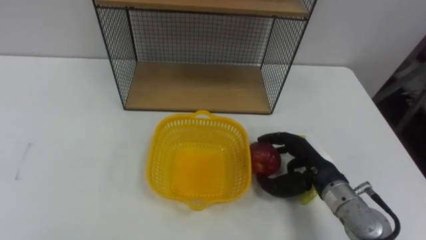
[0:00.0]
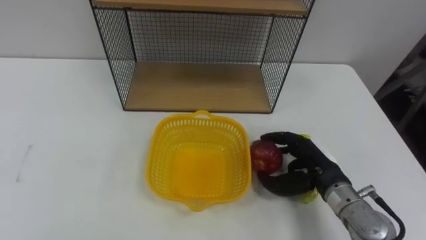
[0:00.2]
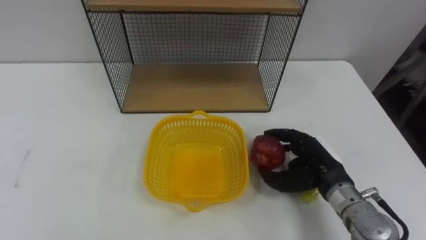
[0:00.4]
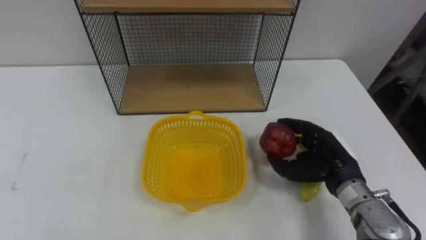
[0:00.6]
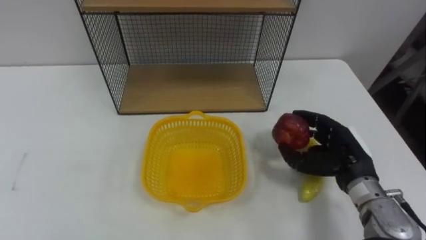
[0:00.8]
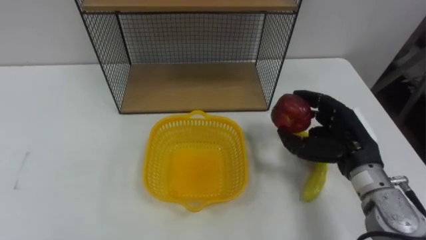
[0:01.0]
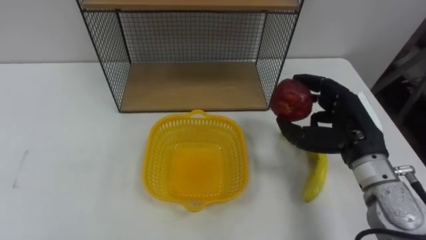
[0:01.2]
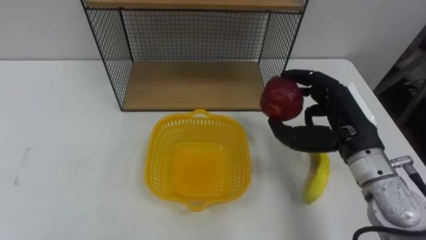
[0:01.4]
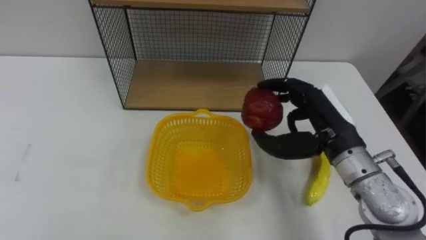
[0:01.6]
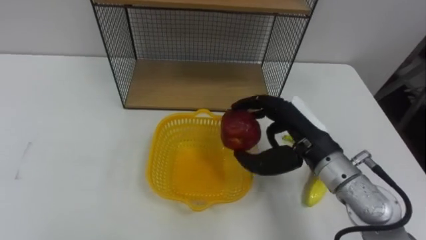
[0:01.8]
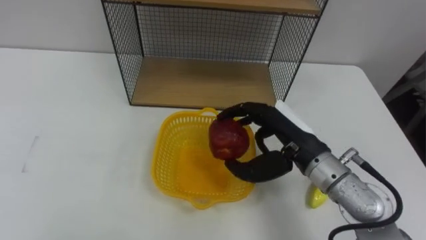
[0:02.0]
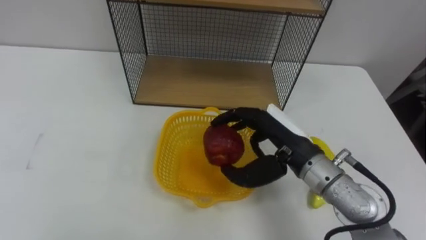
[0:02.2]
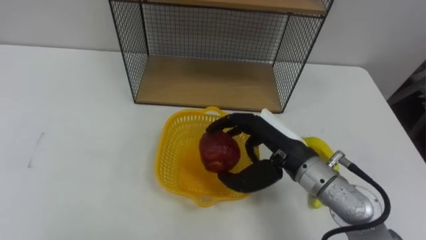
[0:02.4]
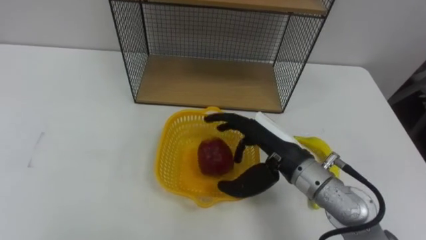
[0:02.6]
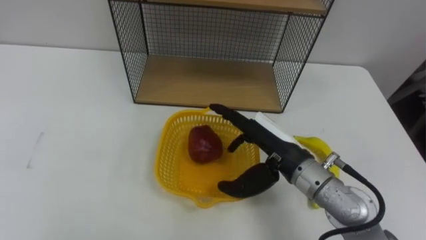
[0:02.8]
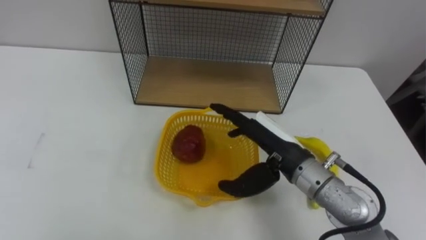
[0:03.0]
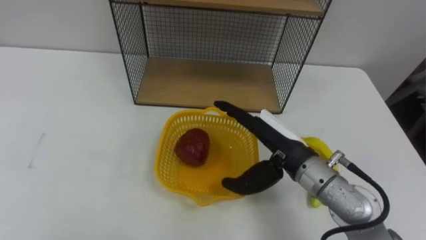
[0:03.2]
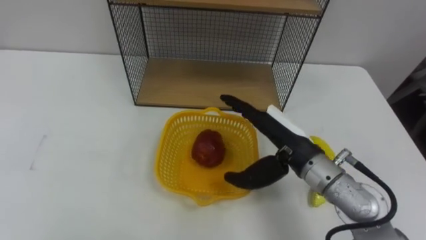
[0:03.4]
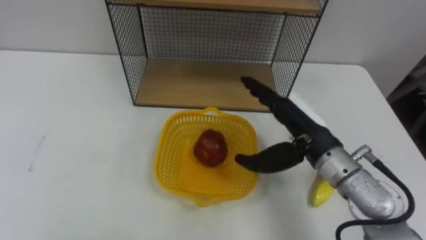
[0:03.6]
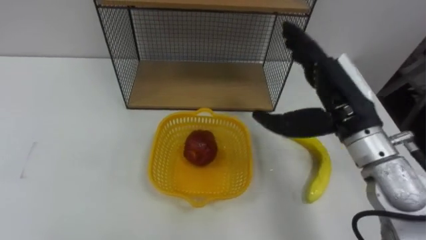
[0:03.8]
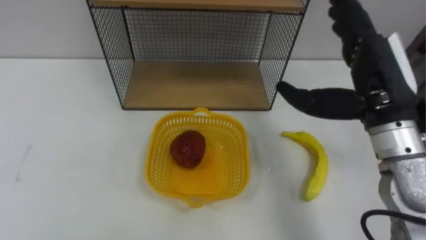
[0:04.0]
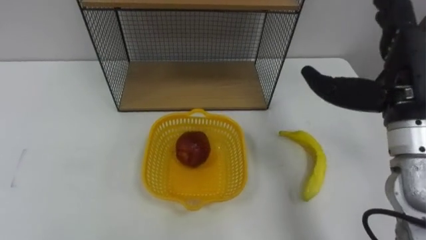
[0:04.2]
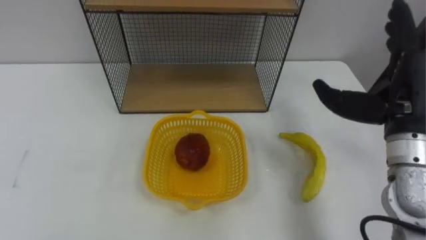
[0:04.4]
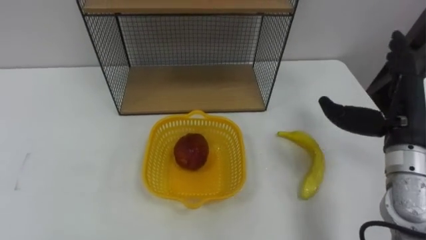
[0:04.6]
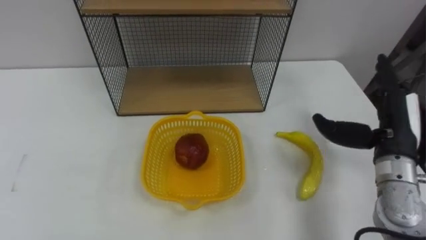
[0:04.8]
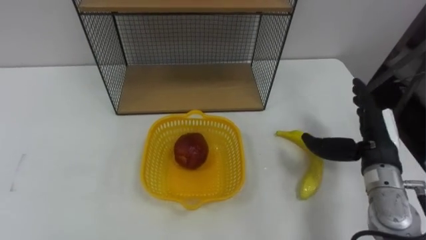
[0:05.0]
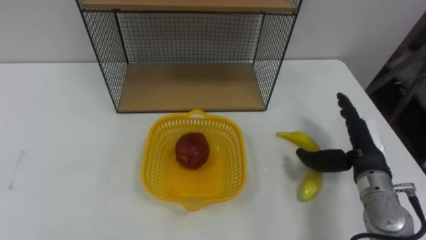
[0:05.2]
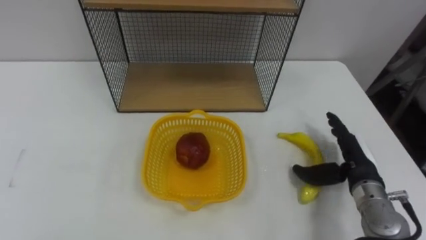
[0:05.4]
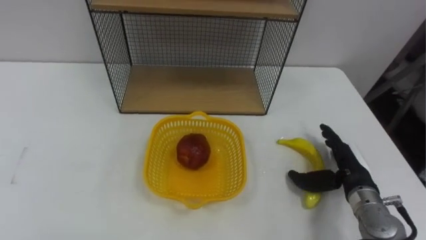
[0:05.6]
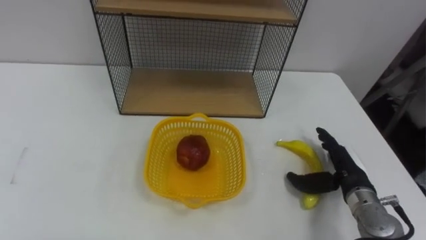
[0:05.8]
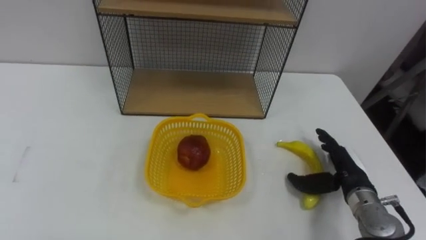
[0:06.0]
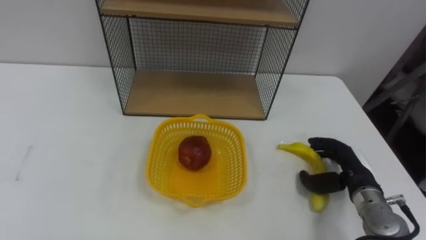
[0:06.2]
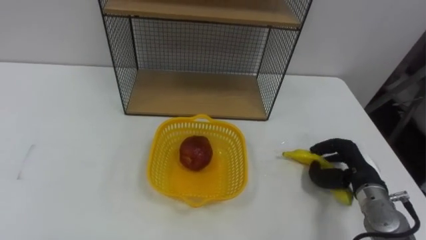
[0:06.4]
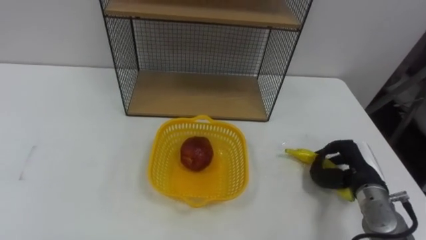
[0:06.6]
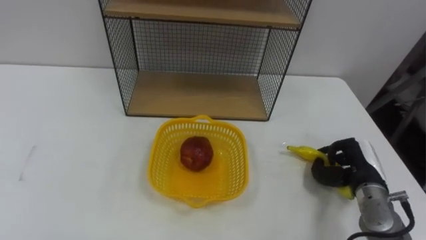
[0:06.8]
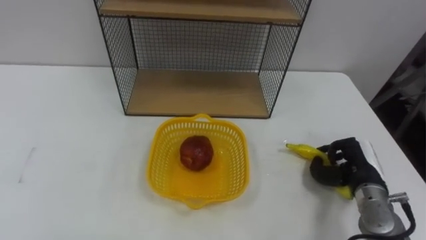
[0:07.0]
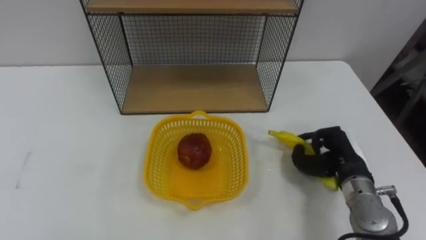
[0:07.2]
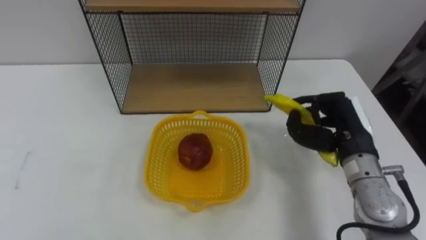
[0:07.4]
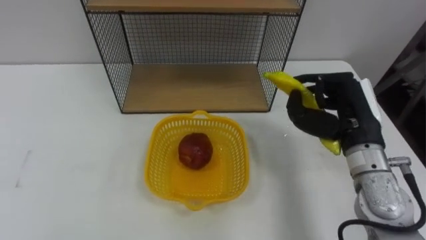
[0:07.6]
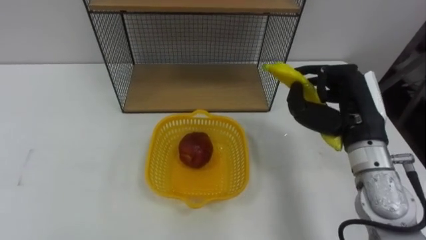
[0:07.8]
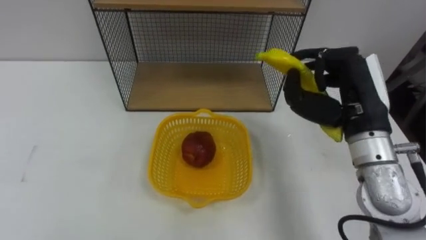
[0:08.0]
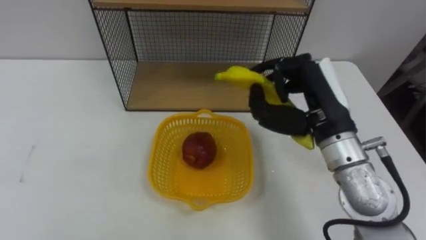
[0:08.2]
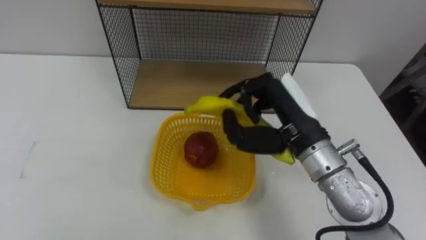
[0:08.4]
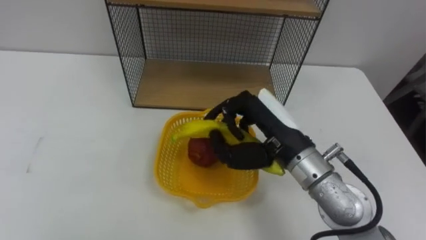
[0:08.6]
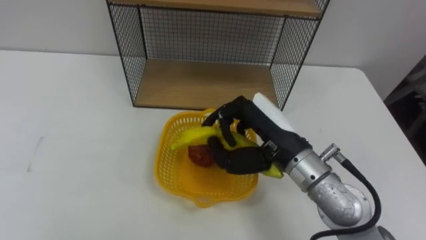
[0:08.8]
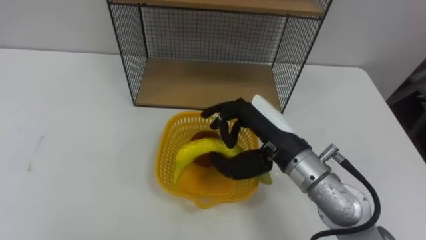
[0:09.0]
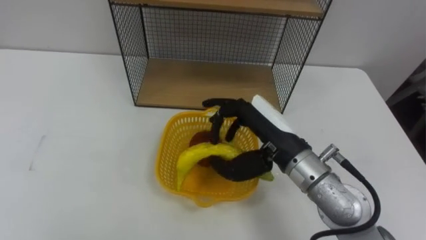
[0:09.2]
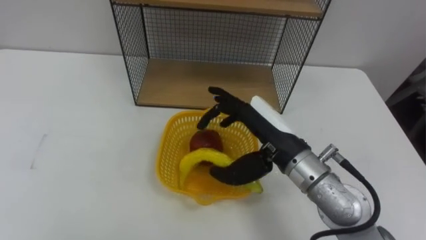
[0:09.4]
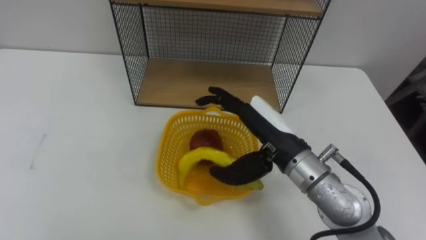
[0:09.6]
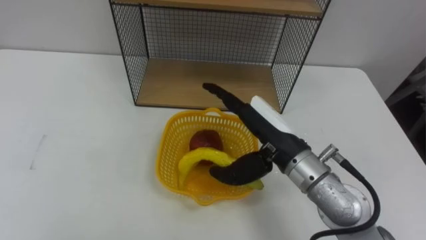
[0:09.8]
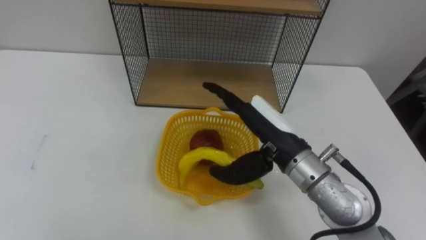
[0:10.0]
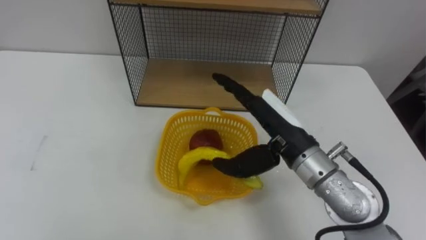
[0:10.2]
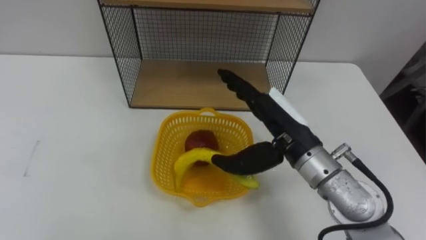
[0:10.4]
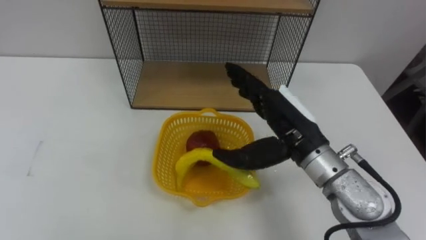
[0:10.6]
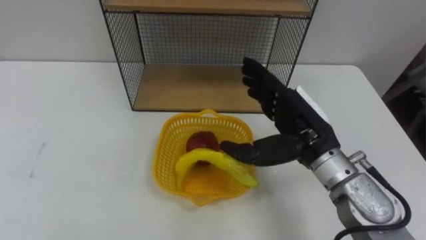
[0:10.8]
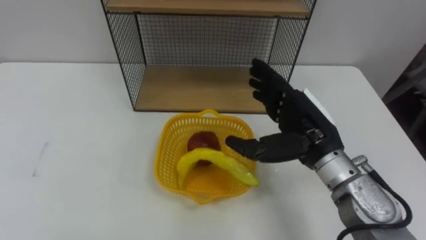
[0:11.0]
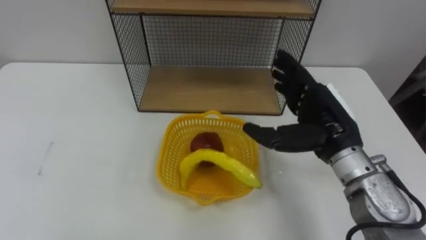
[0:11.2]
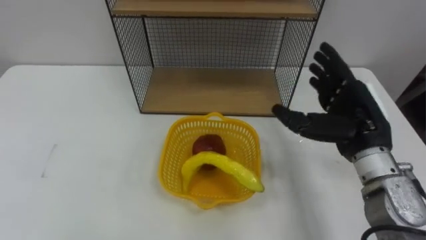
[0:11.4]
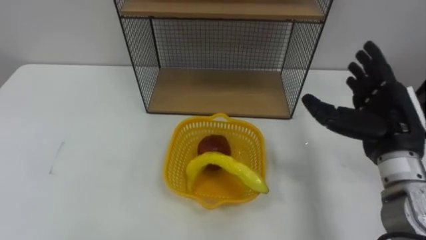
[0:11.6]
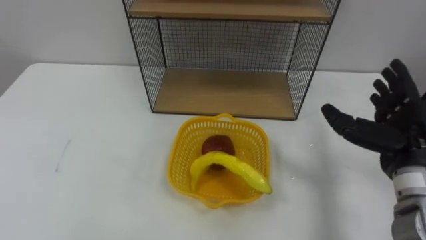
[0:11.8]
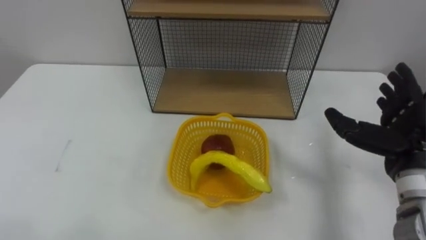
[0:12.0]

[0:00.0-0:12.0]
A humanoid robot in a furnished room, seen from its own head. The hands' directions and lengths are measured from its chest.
Task of the whole recording: Put the fruit on the table into the basket, then place the basket on the shelf.
0:00.0 to 0:01.6: The right hand is displaced upward by approximately 10 cm.
0:01.6 to 0:03.0: The right hand travels to the left by approximately 10 cm, and opens up.
0:03.0 to 0:04.4: The right hand travels to the right and upward by about 20 cm.
0:04.4 to 0:06.0: The right hand shifts some 20 cm downward.
0:06.0 to 0:07.6: The right hand is displaced upward by approximately 15 cm, and closes.
0:07.6 to 0:09.0: The right hand shifts about 15 cm to the left.
0:09.0 to 0:10.4: The right hand opens.
0:10.4 to 0:12.0: The right hand shifts approximately 20 cm to the right.

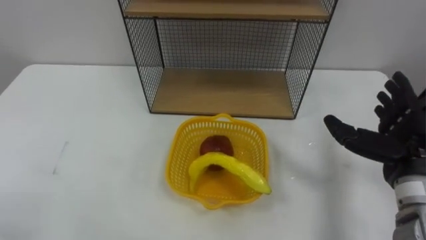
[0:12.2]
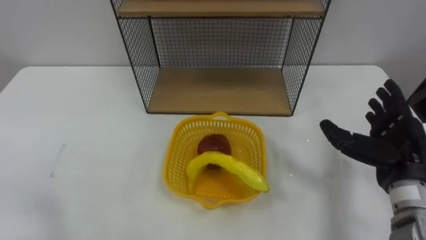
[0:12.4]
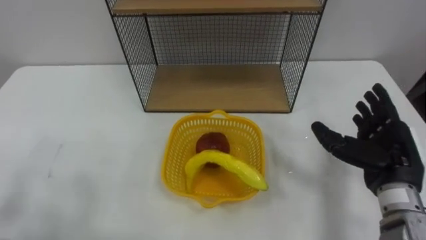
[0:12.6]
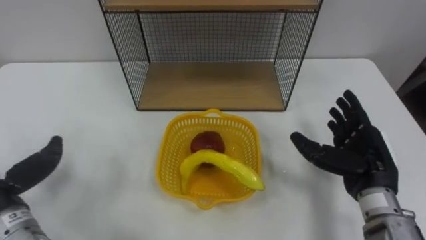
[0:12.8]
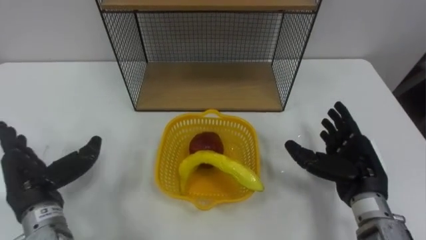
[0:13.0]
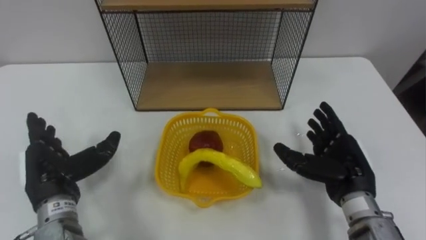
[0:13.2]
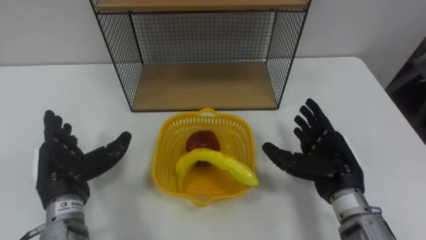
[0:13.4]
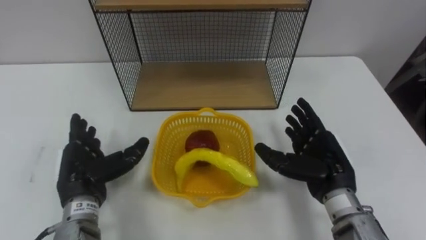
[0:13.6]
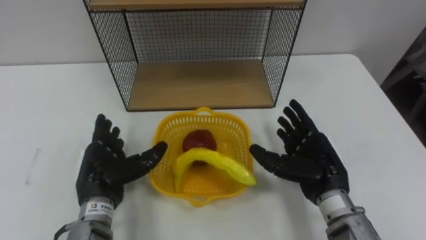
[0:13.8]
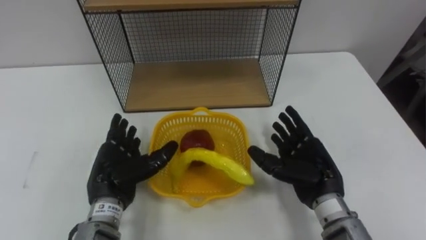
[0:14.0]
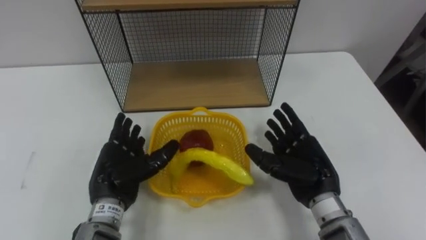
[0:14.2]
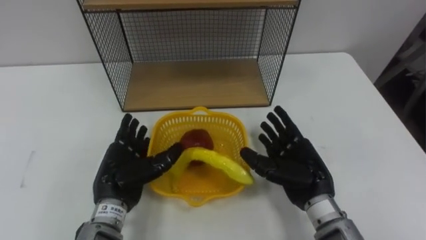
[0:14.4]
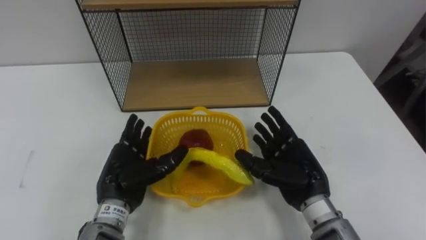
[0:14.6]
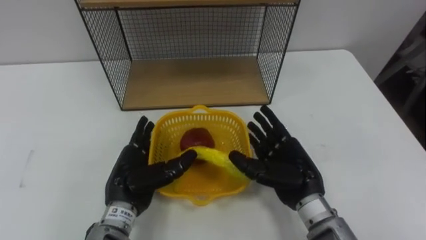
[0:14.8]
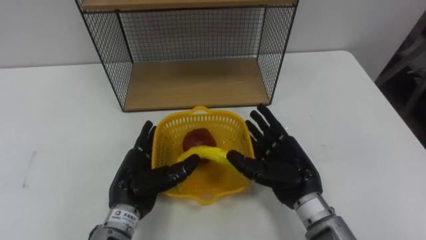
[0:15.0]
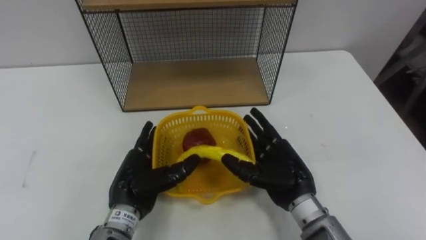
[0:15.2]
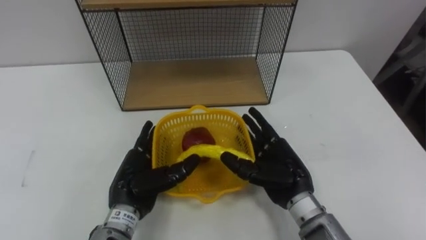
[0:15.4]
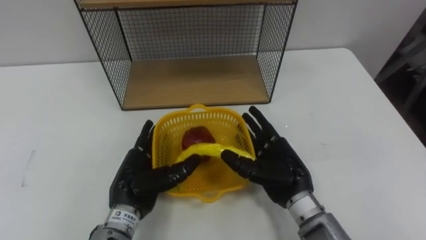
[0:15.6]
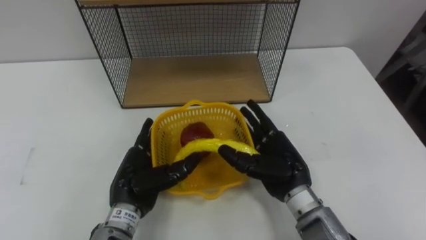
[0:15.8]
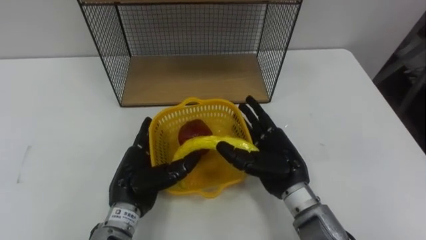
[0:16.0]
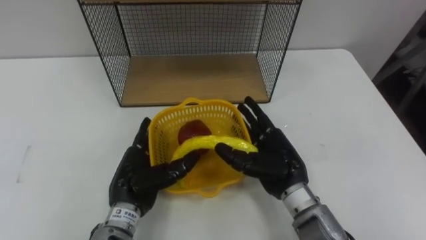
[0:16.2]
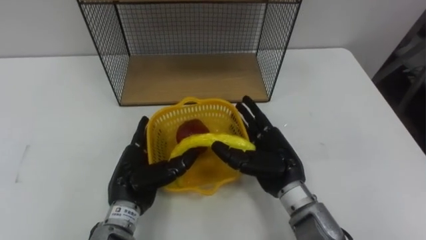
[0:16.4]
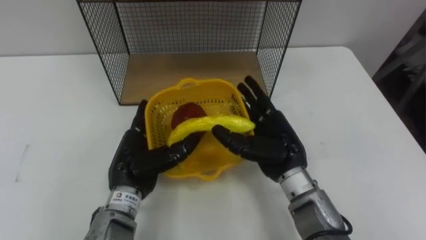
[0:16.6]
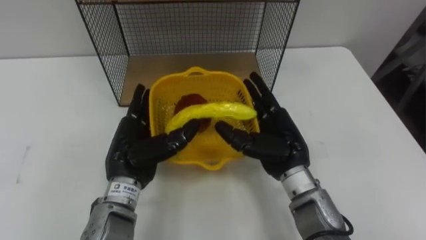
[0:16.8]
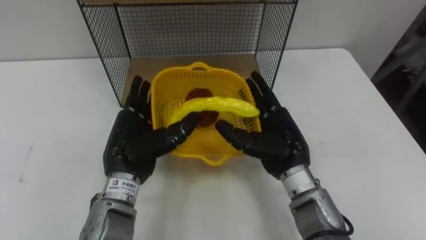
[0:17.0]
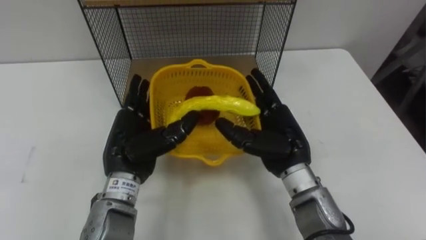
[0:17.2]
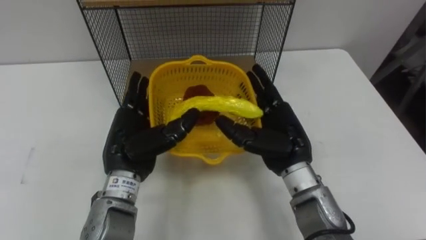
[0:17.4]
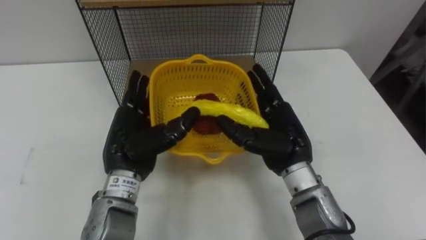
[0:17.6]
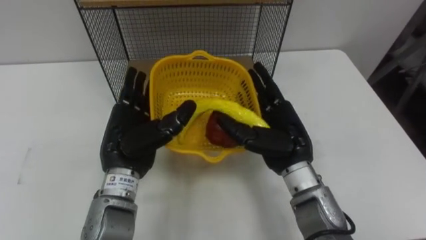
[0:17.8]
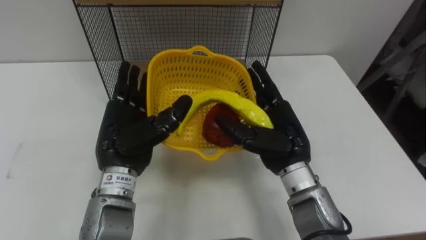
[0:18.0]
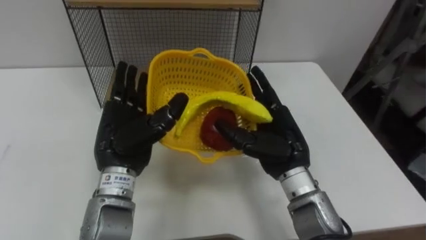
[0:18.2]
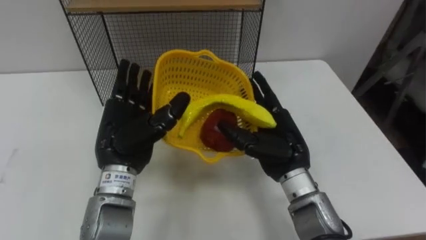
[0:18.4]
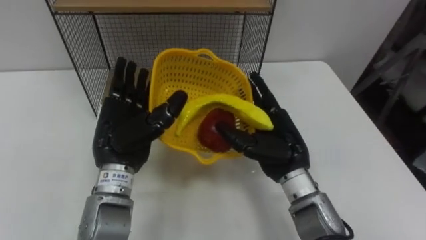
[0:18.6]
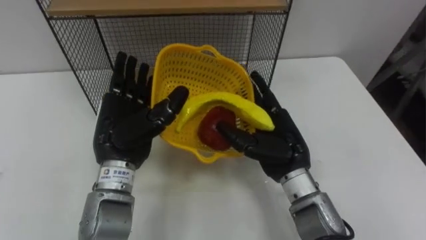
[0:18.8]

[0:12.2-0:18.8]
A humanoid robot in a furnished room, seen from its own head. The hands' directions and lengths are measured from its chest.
Task of the whole recording: Put the fruit on the table into the basket, then place the basket on the shelf.
0:12.2 to 0:13.8: The right hand shifts about 15 cm to the left and downward.
0:13.8 to 0:15.4: The right hand travels to the left by about 5 cm. Meanwhile the left hand shifts approximately 5 cm to the right.
0:15.4 to 0:17.2: The hands both shift upward by some 5 cm.
